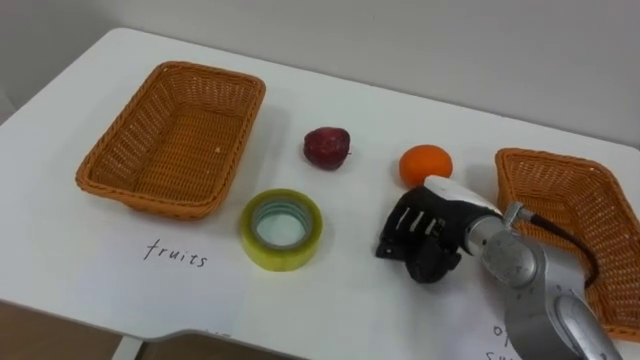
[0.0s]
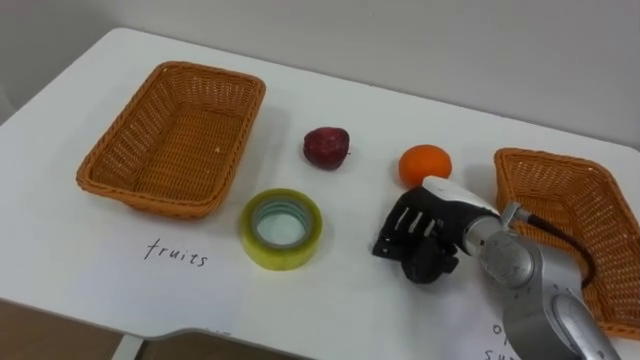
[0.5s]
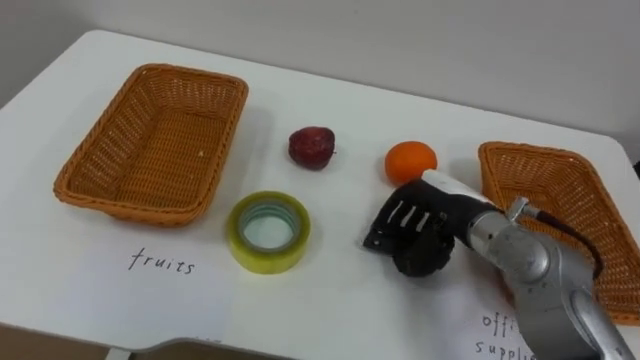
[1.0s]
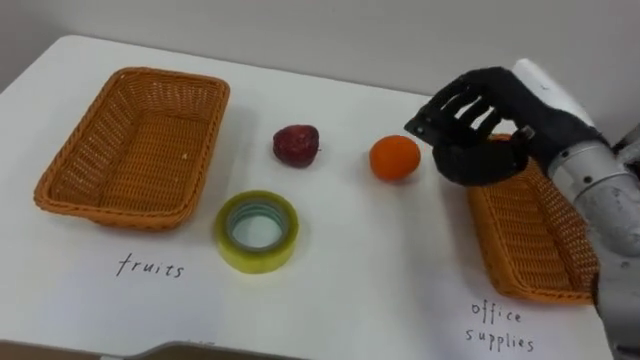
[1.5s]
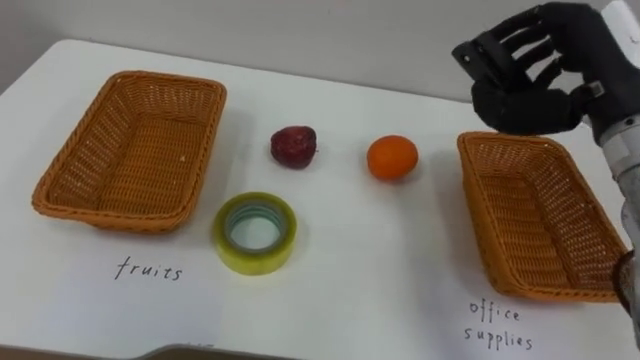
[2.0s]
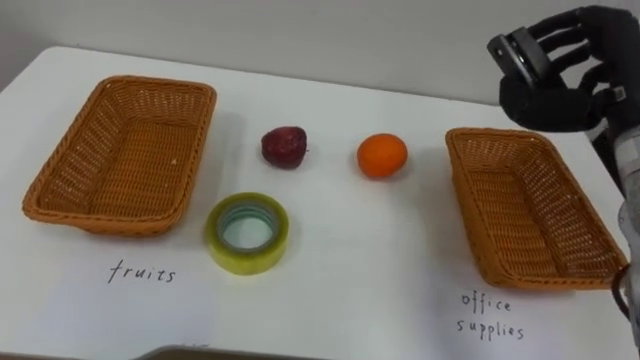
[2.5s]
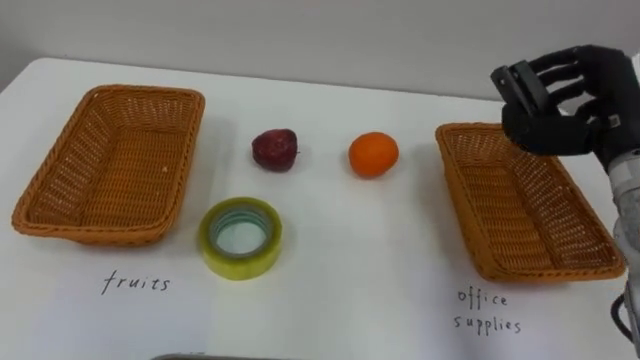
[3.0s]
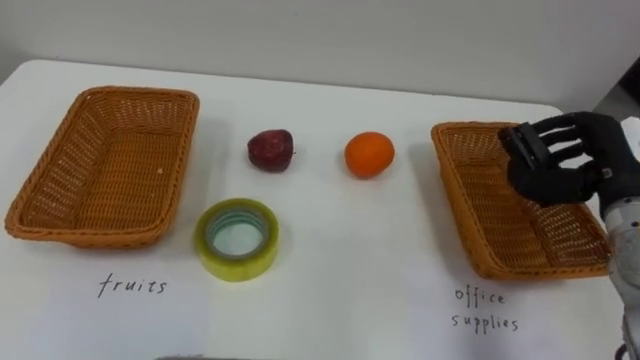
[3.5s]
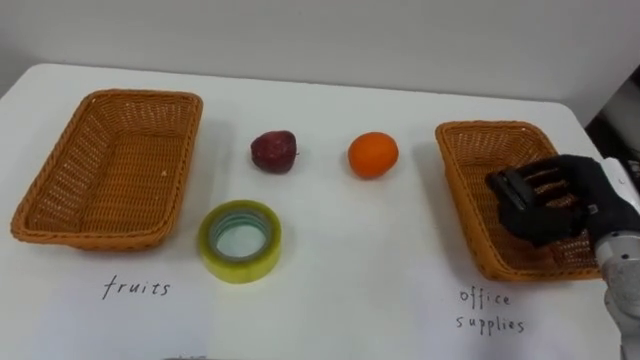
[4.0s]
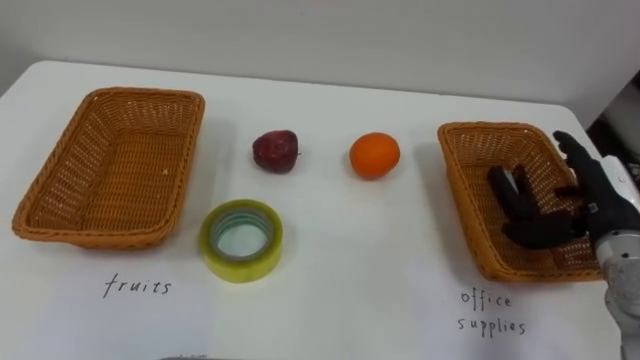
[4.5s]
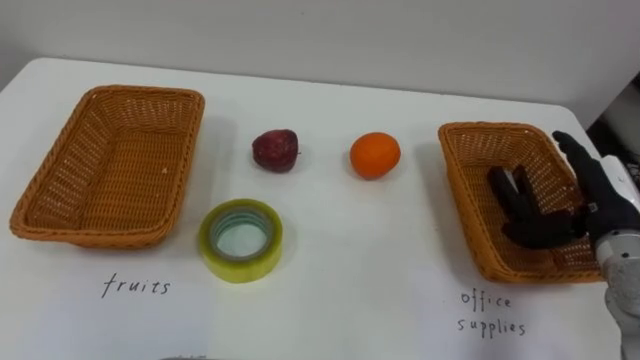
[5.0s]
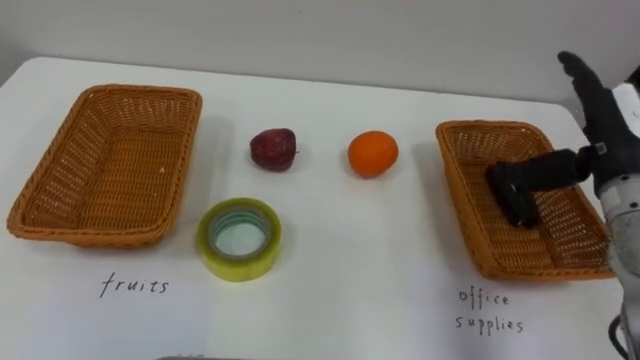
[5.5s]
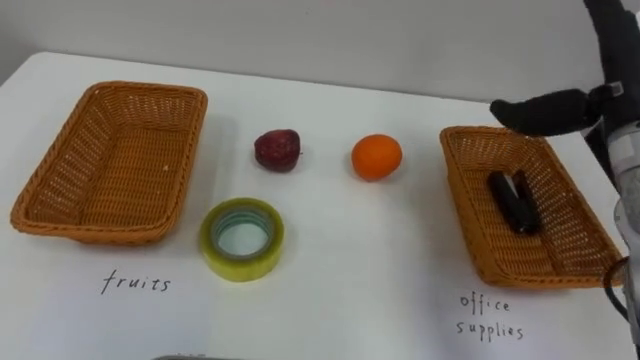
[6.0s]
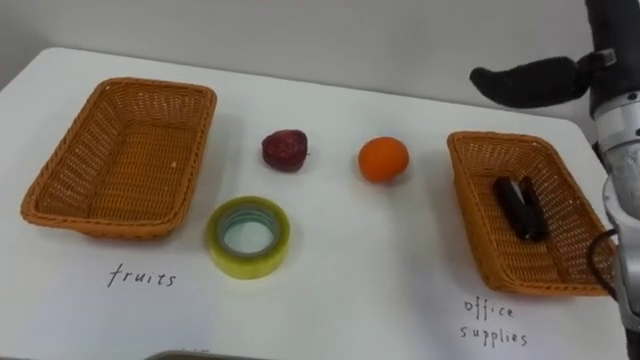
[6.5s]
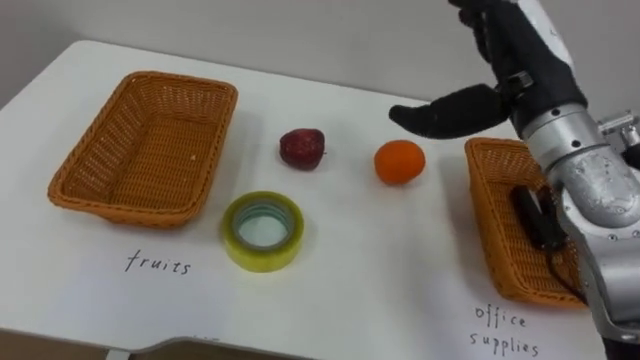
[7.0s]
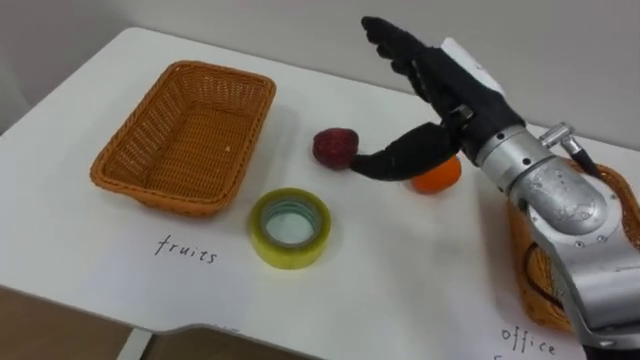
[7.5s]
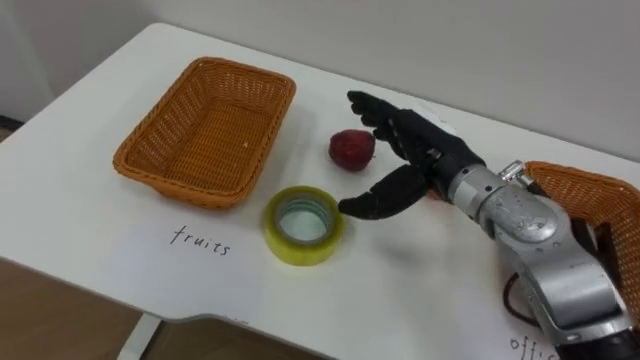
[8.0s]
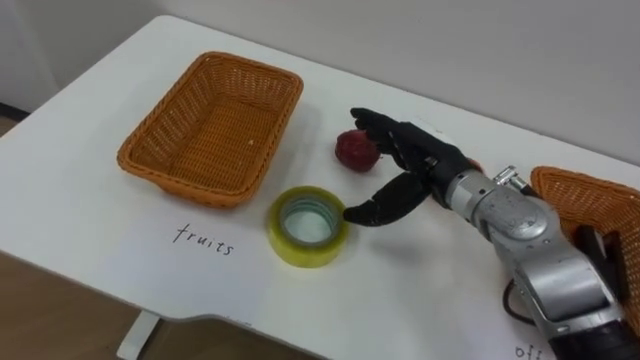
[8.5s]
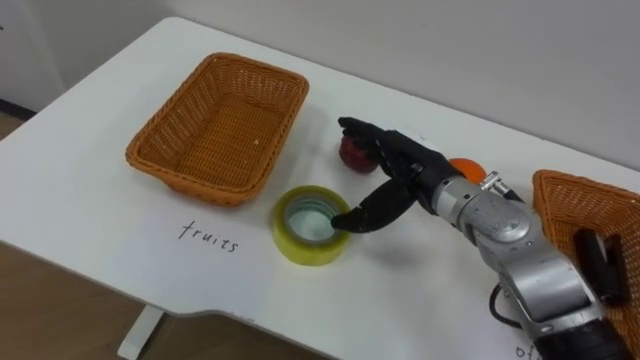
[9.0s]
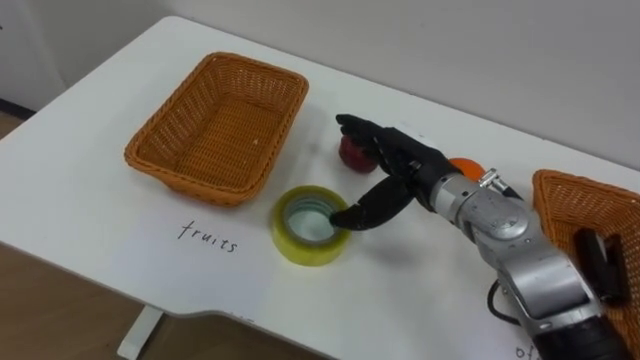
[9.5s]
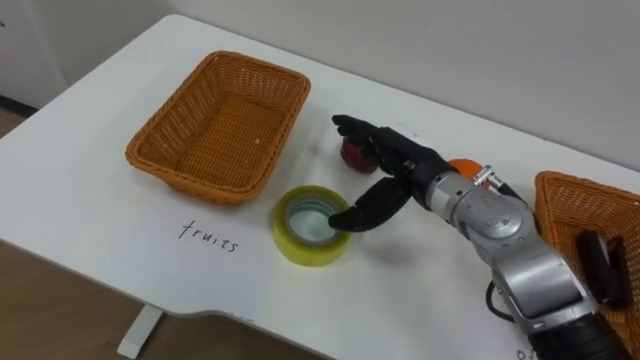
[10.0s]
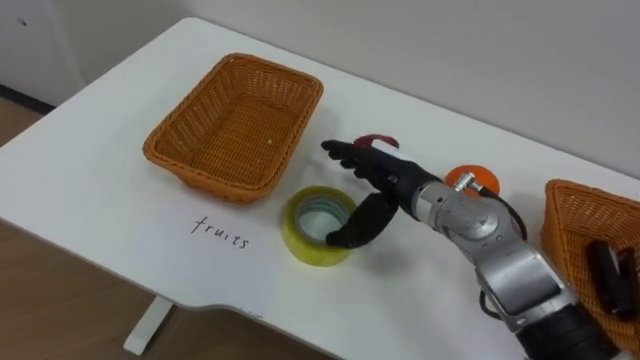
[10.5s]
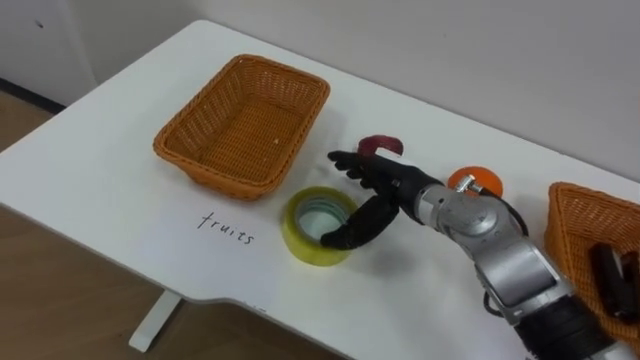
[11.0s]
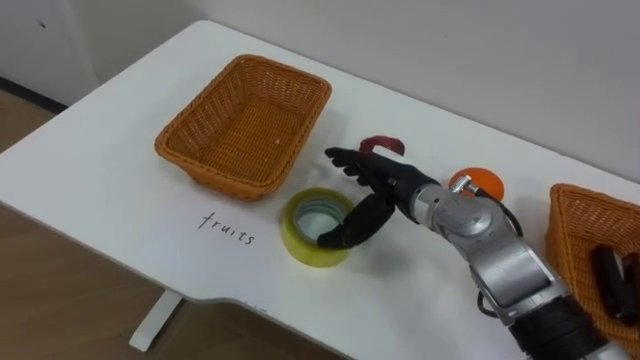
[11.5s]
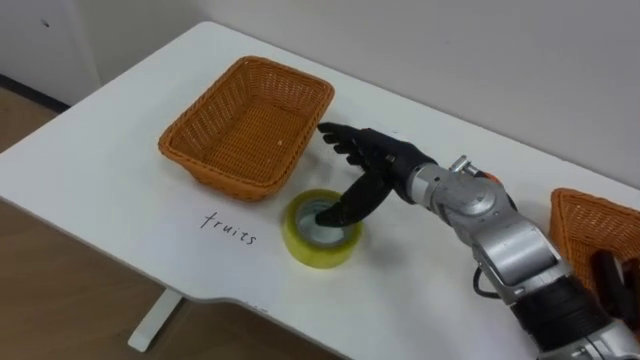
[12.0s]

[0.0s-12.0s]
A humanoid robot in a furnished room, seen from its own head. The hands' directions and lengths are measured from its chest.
Task of the whole recording: Separate the items on the table and place them into the two baskets.
0.0s to 2.0s: The right hand is displaced upward and to the right by roughly 20 cm.
2.0s to 4.0s: The right hand heads downward and to the right, covering about 15 cm.
4.0s to 6.0s: The right hand goes some 15 cm upward, and opens its fingers.
6.0s to 8.0s: The right hand heads to the left and downward, covering about 20 cm.

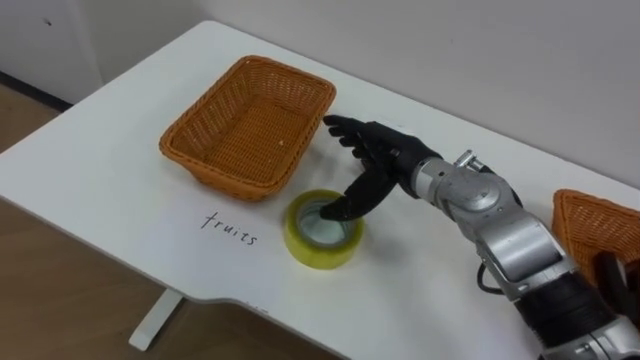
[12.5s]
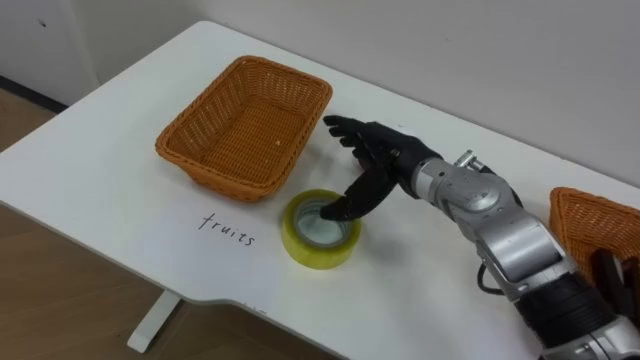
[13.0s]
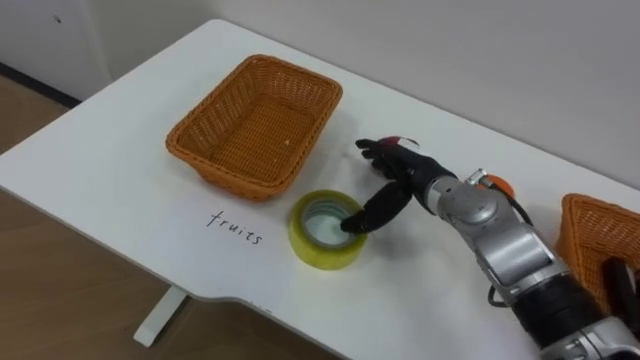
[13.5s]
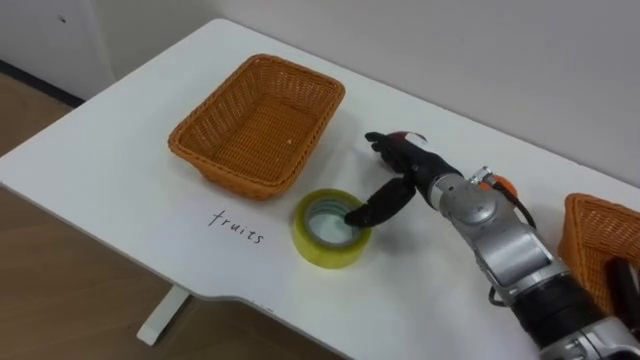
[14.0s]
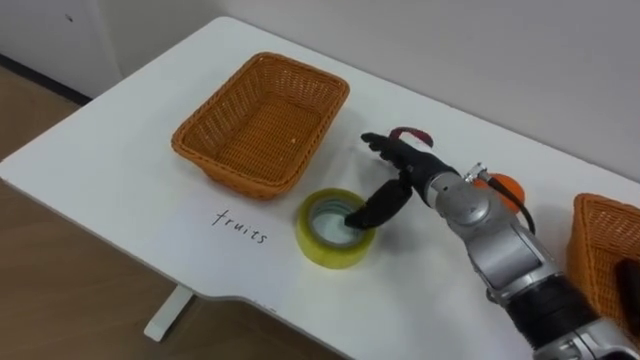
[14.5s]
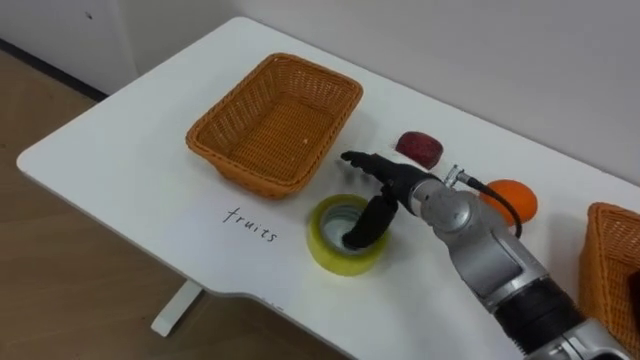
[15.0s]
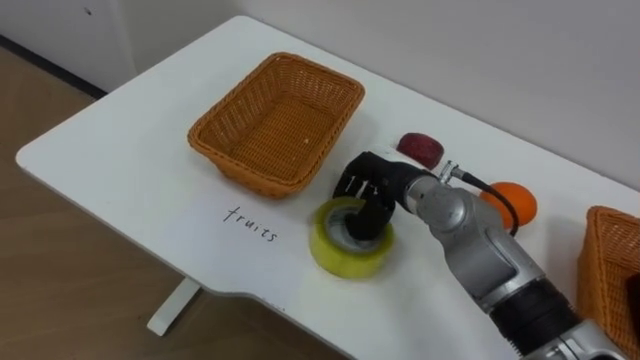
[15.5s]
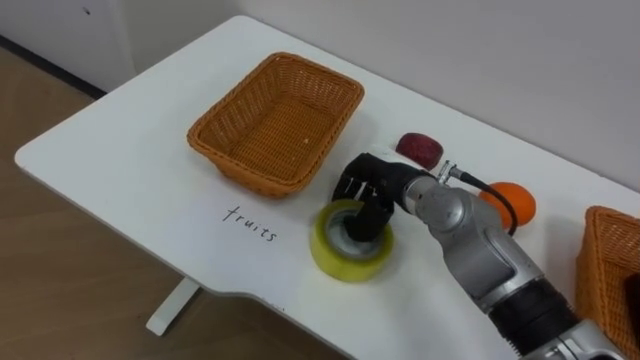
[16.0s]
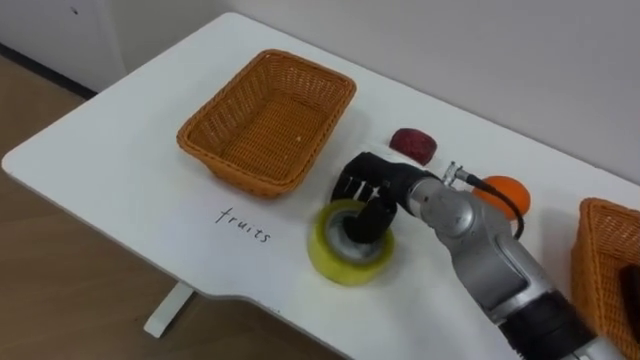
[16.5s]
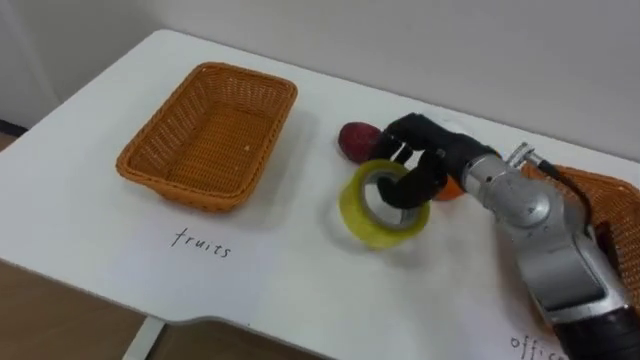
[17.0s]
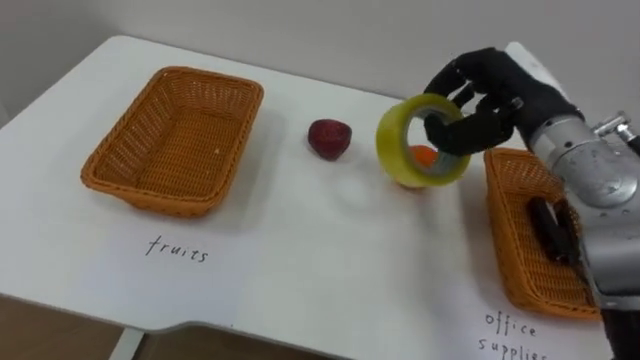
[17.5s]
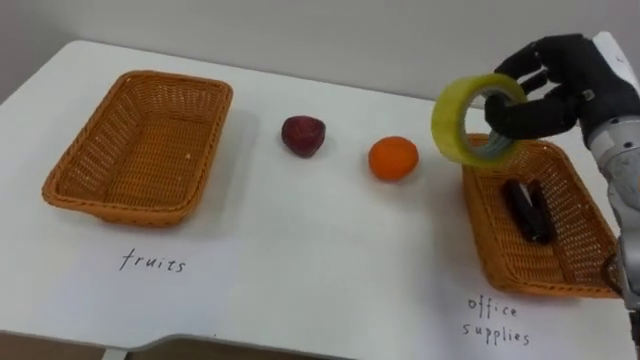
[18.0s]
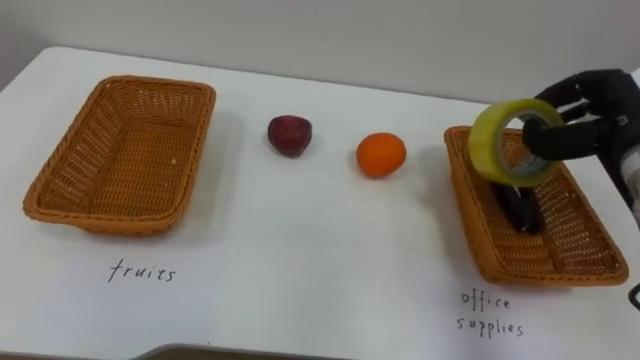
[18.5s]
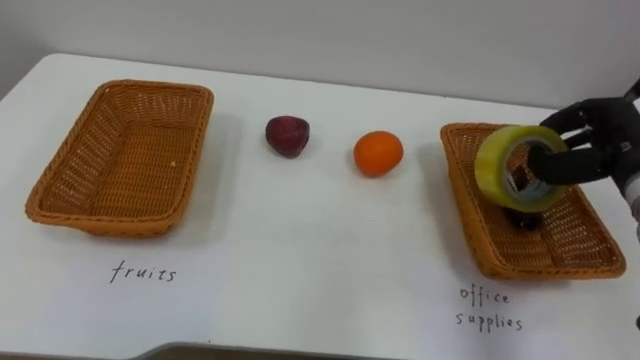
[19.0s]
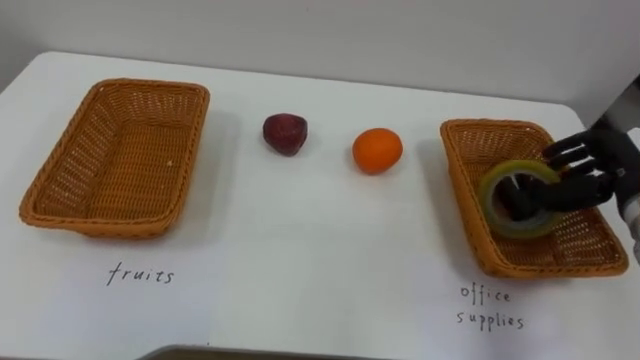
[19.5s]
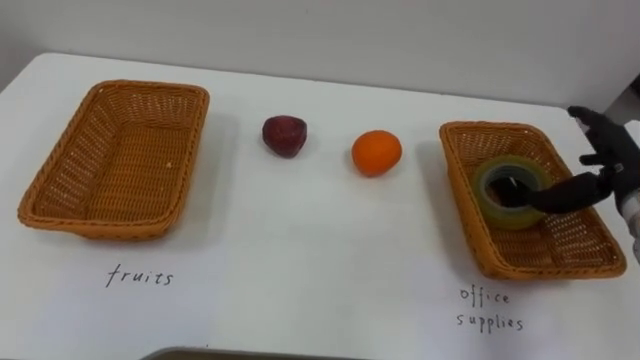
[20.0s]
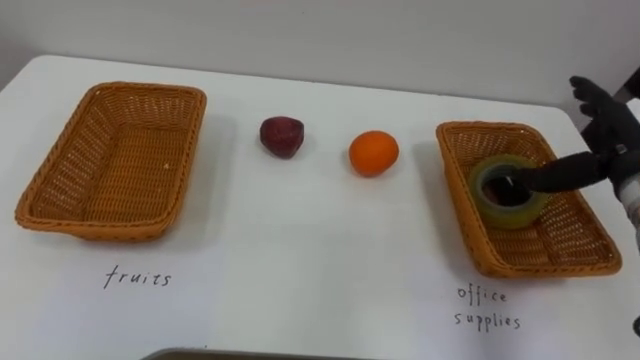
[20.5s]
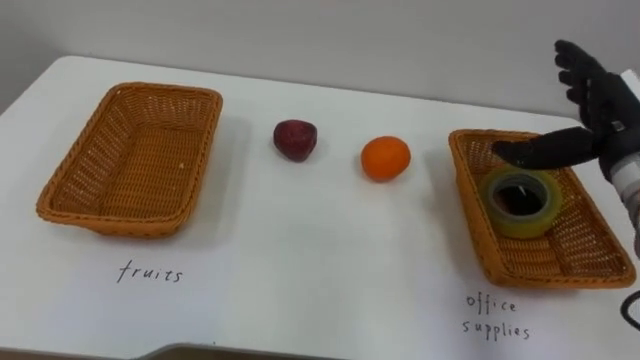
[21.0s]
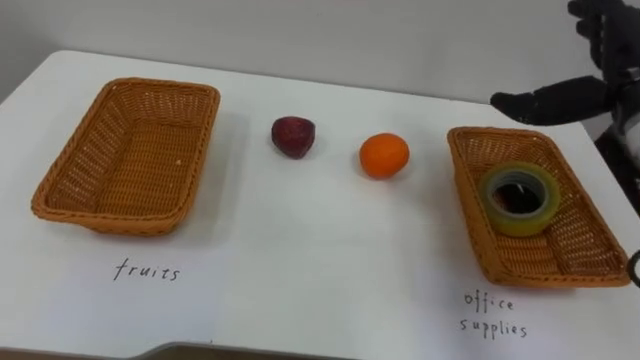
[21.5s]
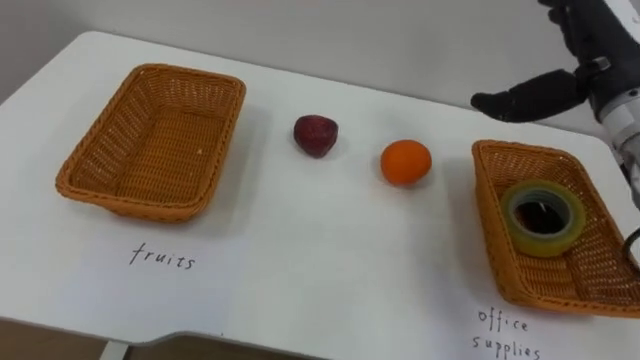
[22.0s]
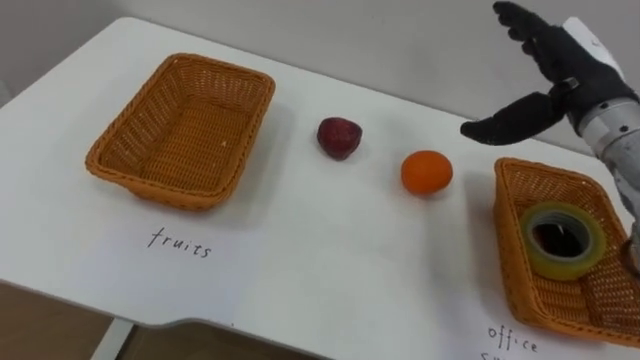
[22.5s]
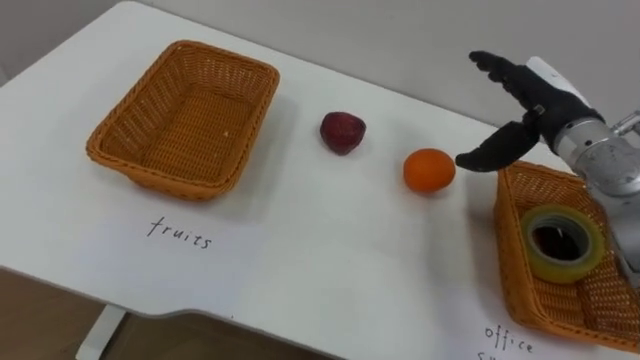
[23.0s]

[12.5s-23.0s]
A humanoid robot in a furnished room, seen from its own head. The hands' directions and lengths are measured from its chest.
Task of the whole recording: Separate the items on the table and place them into the two baskets.
12.5s to 14.5s: The right hand moves some 5 cm.
14.5s to 16.5s: The right hand closes its fingers.
16.5s to 19.0s: The right hand is displaced to the right by some 25 cm.
19.0s to 21.0s: The right hand opens.
21.0s to 23.0s: The right hand shifts roughly 5 cm to the left, and goes upward and returns, roughly 5 cm each way.
